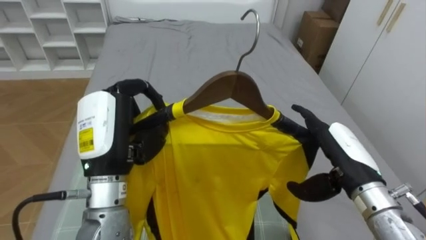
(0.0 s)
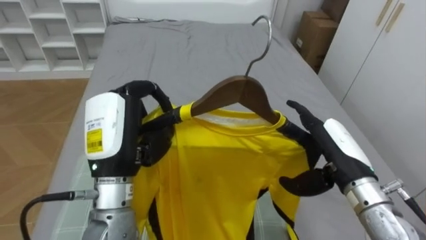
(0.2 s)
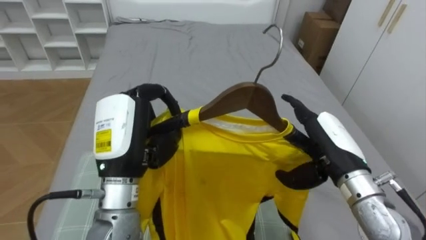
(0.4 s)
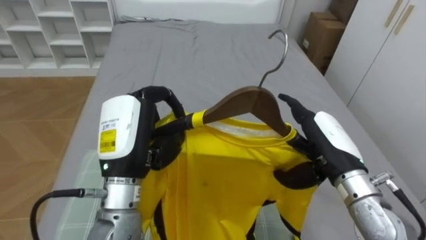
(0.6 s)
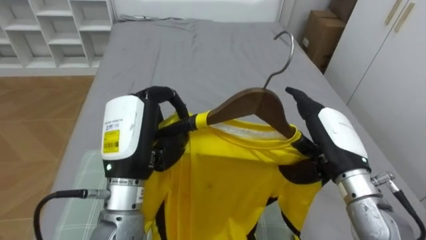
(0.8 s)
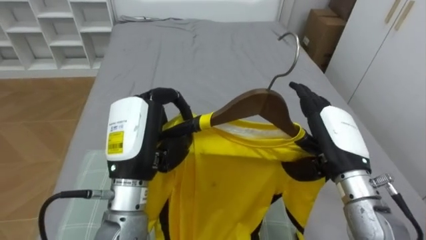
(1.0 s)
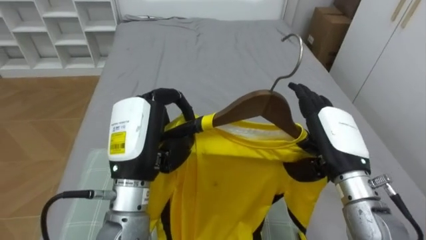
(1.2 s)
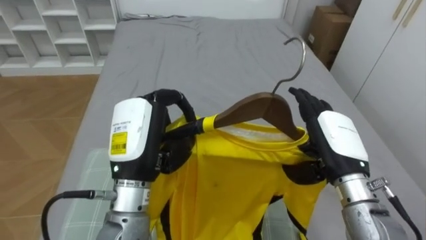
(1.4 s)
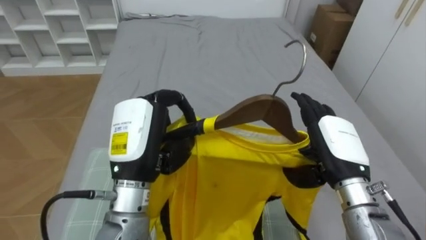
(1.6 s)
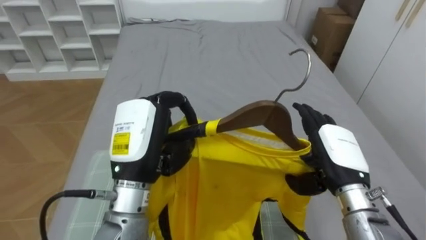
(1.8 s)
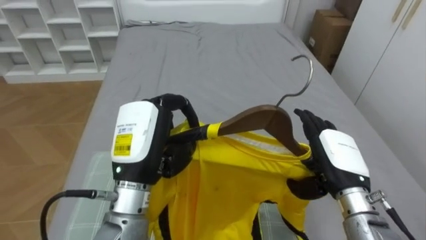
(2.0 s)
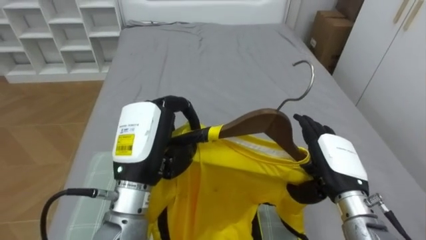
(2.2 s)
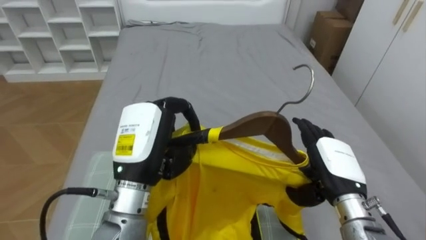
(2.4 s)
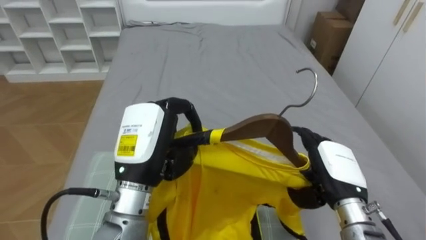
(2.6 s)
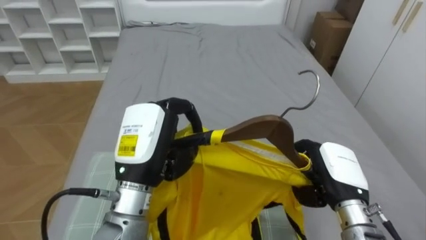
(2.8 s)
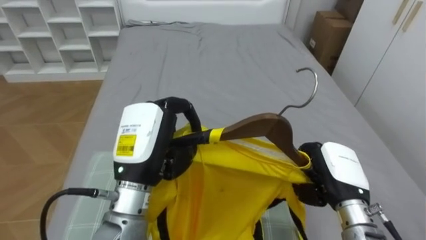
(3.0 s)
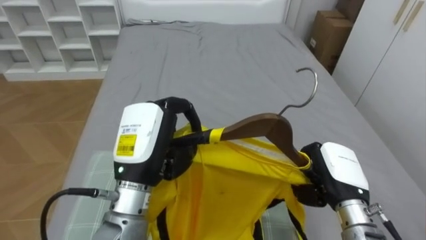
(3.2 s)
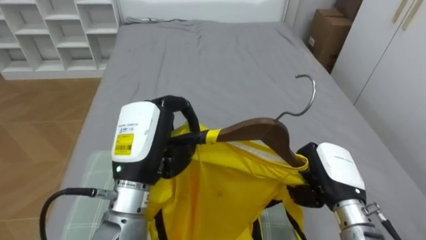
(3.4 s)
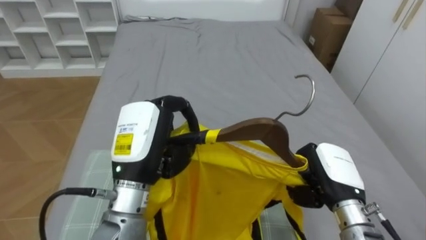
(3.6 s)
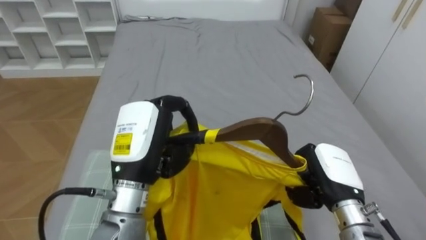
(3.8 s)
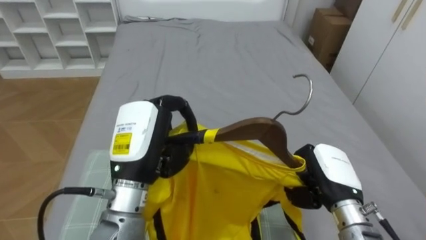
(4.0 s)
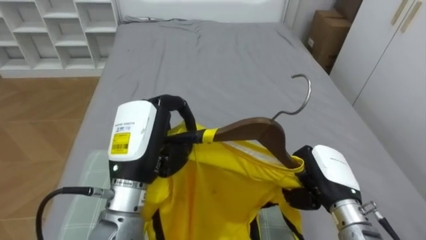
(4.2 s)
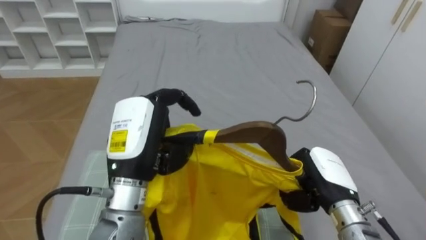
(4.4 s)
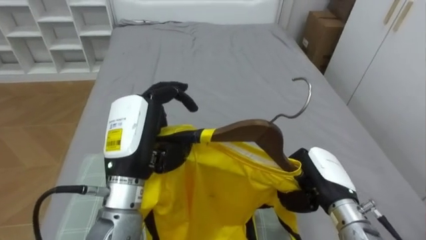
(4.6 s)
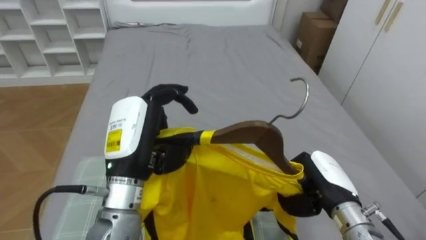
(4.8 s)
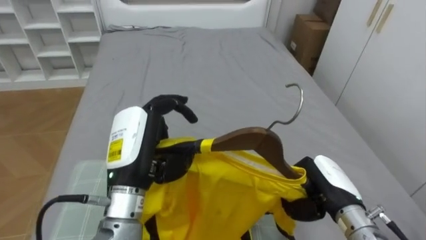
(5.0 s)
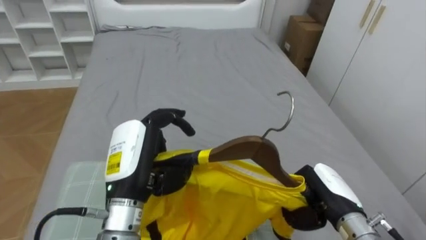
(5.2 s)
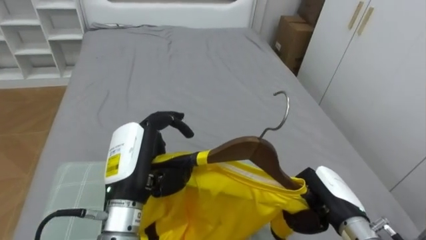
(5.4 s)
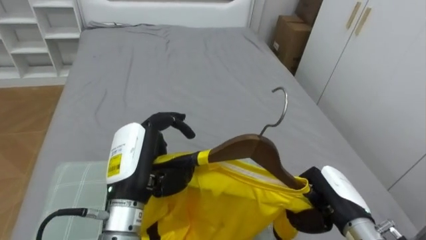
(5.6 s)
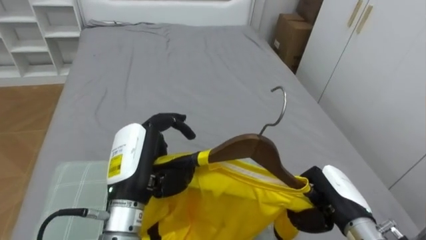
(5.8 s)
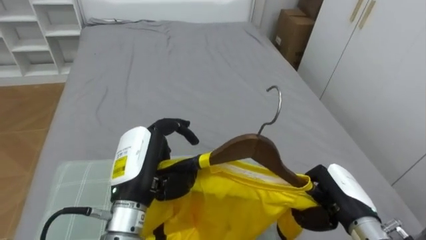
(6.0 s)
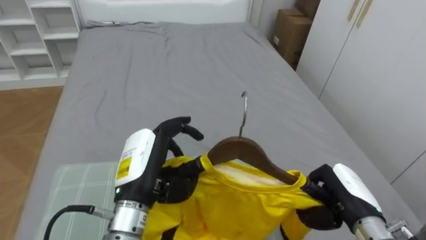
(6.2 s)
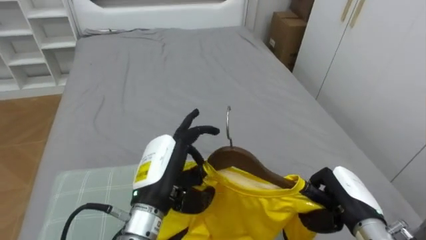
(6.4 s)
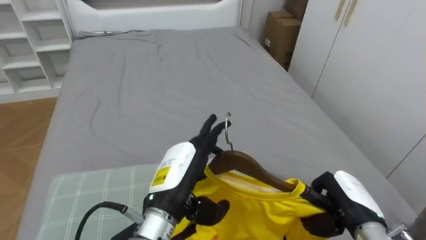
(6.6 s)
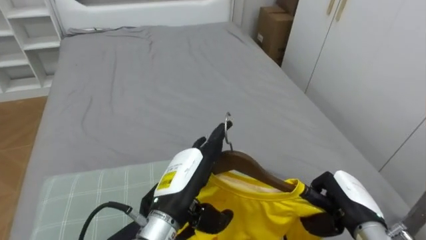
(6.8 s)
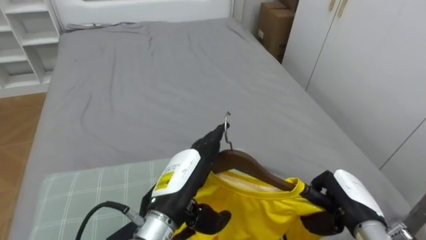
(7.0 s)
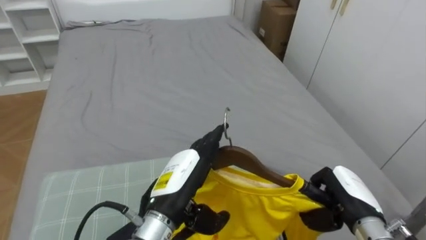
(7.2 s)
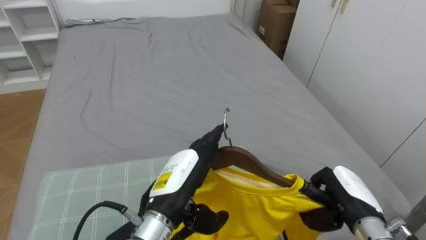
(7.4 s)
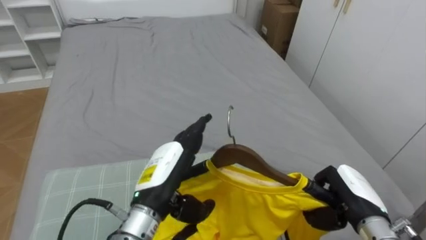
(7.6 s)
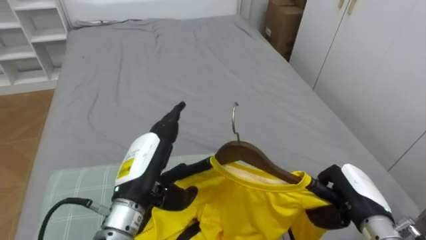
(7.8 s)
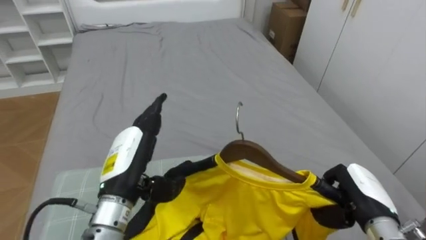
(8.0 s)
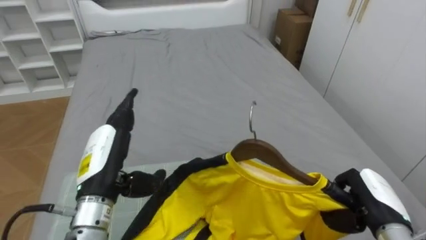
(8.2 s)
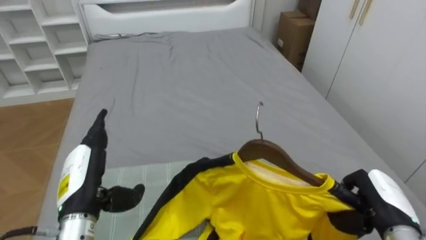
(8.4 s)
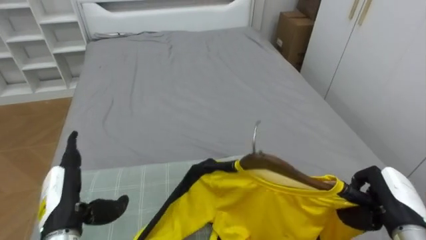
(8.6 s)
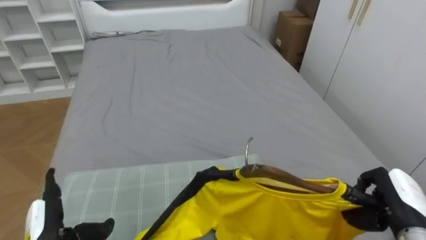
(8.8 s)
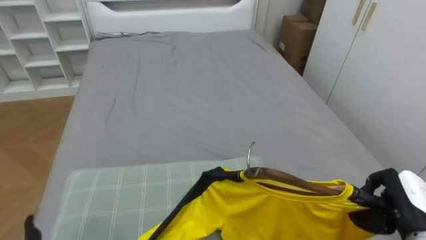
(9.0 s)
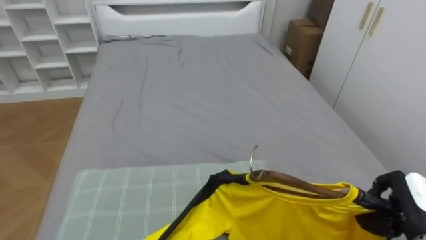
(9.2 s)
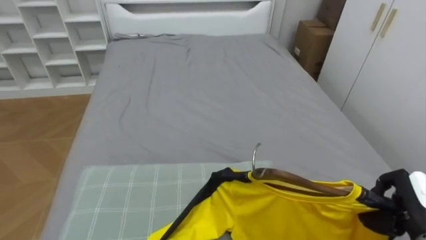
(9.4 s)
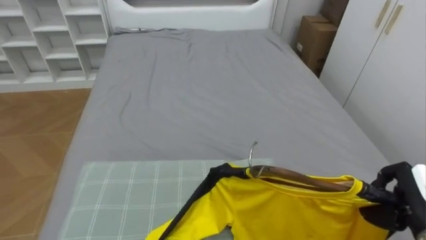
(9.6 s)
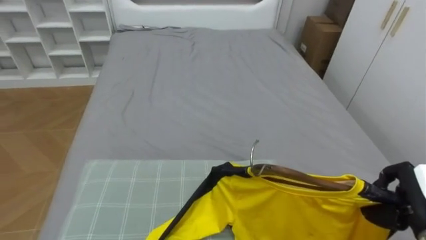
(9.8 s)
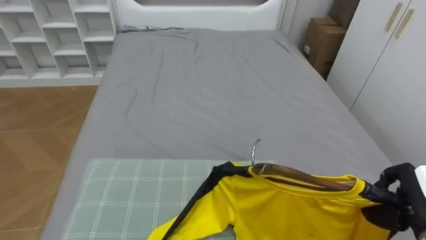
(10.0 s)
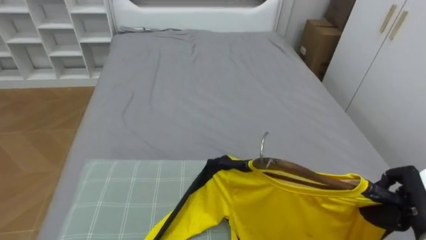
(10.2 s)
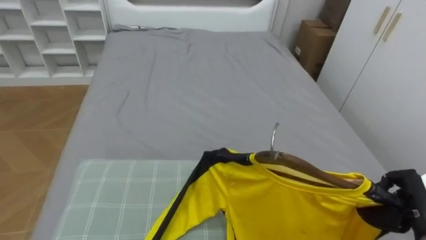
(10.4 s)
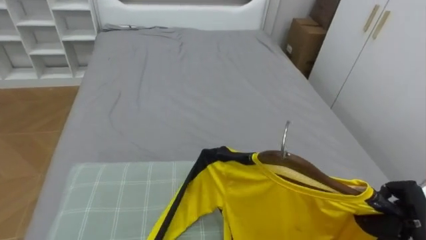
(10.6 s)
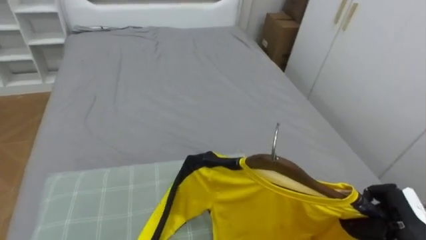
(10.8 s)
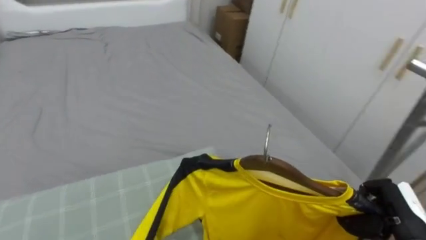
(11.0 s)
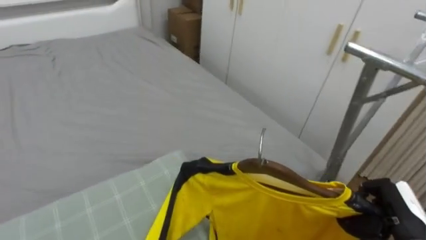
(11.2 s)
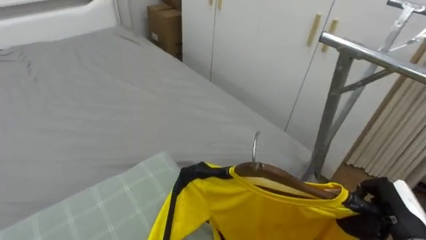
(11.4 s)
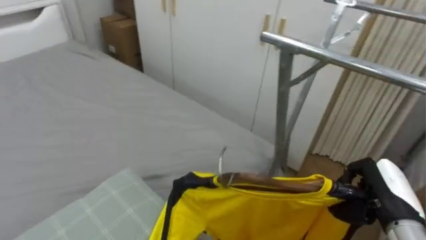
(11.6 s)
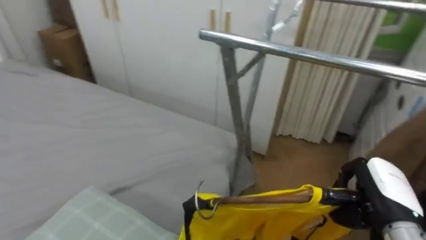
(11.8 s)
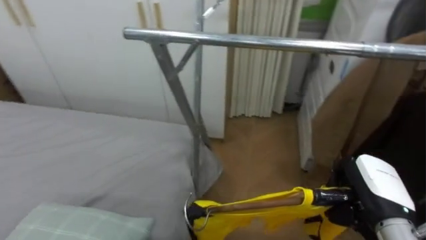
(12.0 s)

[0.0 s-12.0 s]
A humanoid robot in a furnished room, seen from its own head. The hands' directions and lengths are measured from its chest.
Task of the whole recording: Pick up the yellow shirt on the bed and hang it on the clothes rack on the right.
1.6 to 3.0 s: The right hand travels downward by roughly 5 cm, and closes its fingers.
4.4 to 6.0 s: The left hand moves downward, about 5 cm.
6.0 to 7.6 s: The left hand opens.
7.6 to 9.0 s: The right hand goes roughly 10 cm to the right.
10.4 to 12.0 s: The robot faces roughly 65 degrees further to its right. The right hand heads to the left, covering about 10 cm.

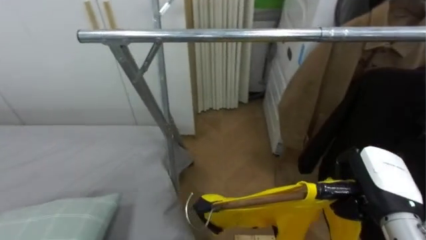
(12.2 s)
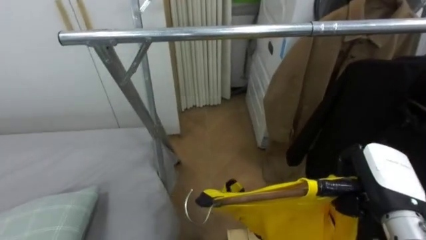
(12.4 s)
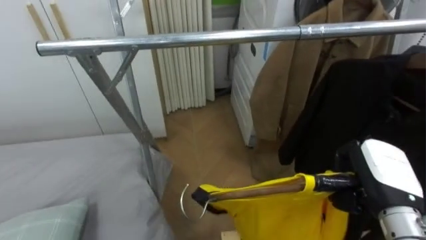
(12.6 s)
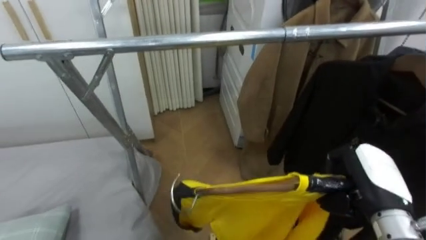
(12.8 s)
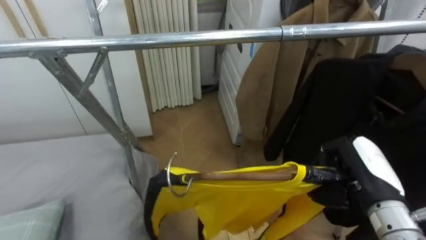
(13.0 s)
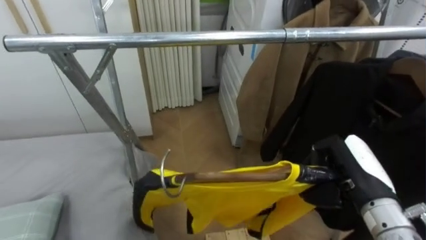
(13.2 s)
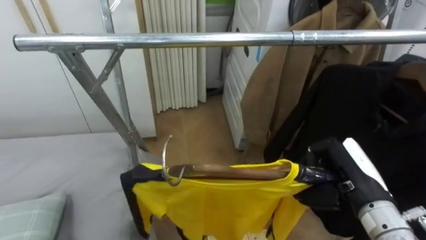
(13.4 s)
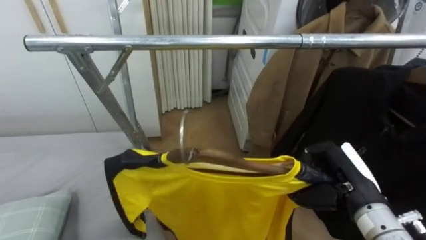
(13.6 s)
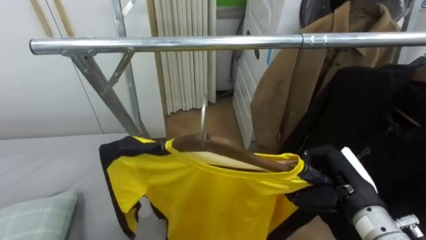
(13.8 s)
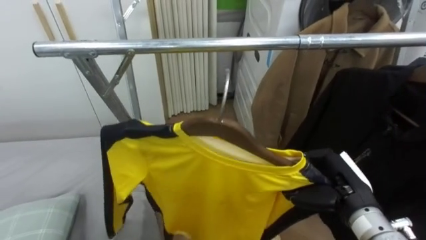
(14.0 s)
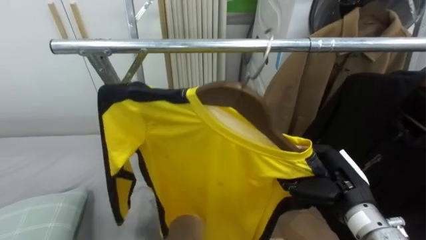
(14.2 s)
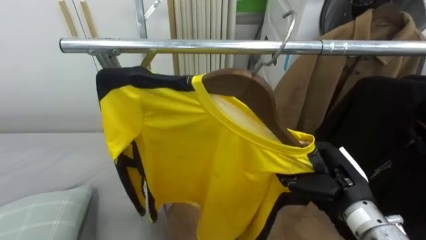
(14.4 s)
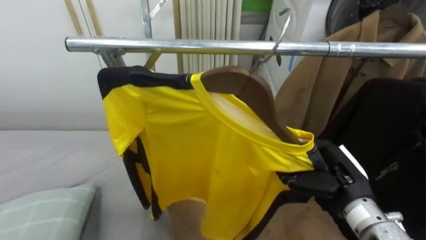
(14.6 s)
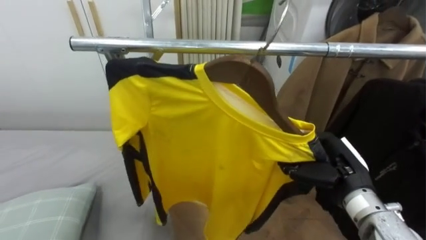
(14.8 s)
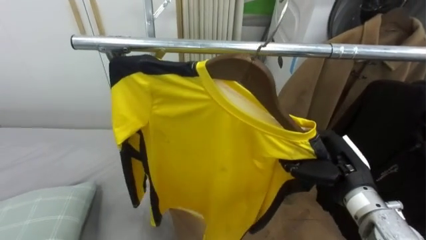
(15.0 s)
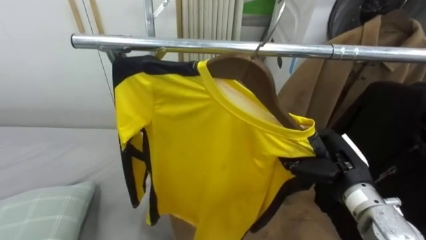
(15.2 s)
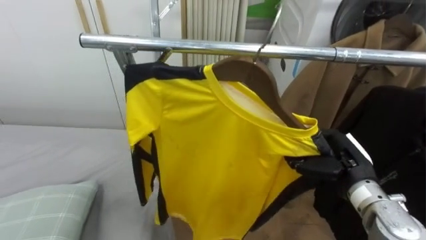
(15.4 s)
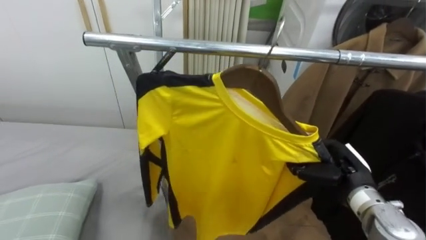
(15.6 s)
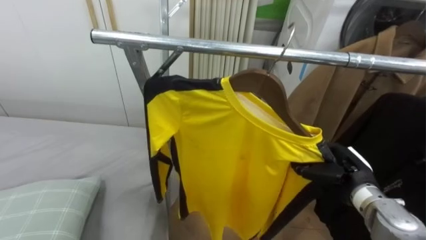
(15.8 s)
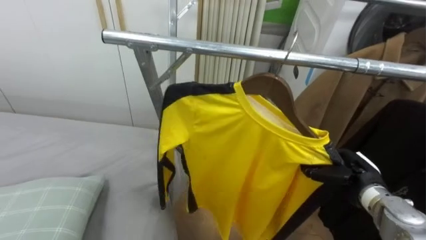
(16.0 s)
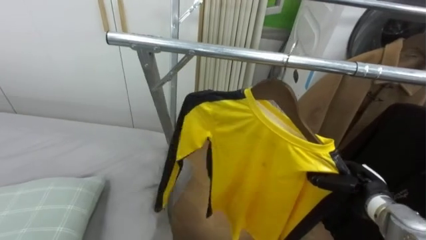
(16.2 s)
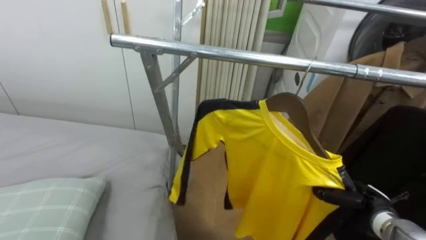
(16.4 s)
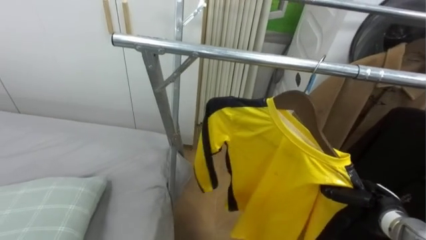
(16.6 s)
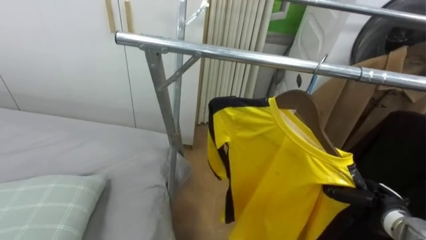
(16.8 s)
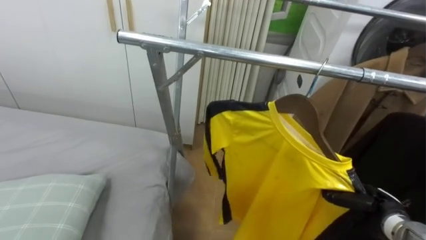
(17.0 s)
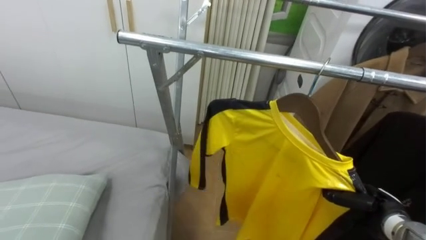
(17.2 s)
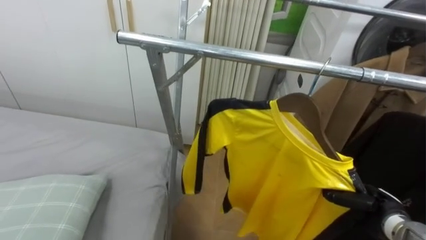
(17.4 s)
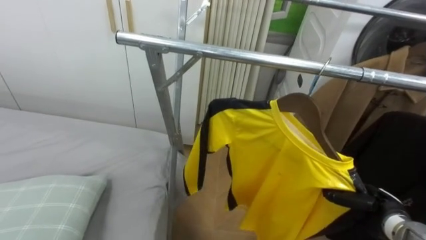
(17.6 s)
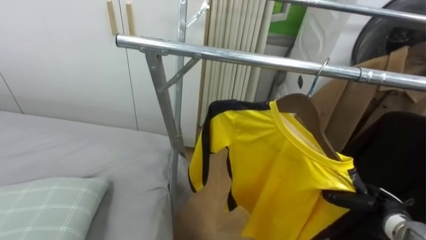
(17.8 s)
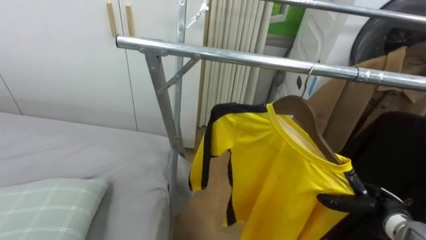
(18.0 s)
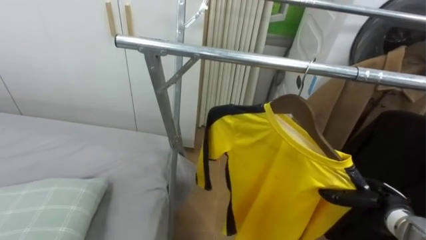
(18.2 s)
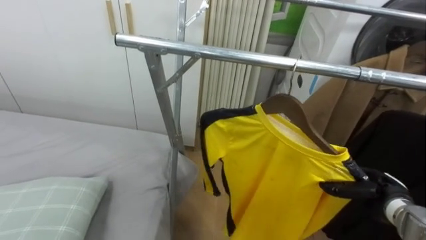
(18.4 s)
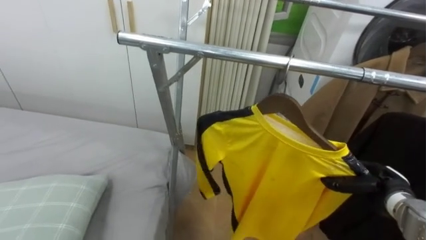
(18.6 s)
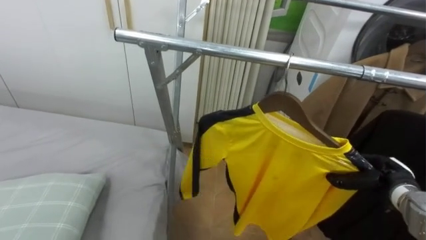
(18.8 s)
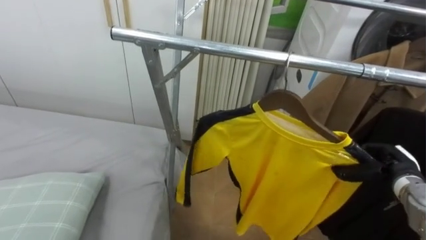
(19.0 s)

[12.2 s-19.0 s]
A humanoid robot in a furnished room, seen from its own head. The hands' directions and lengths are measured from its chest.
Task of the whole recording: Pick up the yellow shirt on the bed and hang it on the clothes rack on the right.
15.0 to 16.2 s: The right hand shifts approximately 10 cm downward and to the right.
16.2 to 17.6 s: The right hand shifts by roughly 5 cm.
17.6 to 19.0 s: The right hand heads upward, covering roughly 5 cm.
